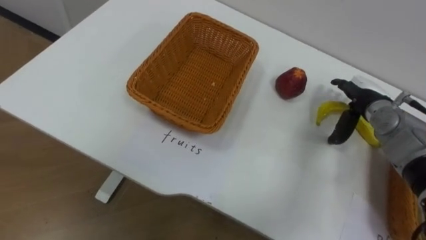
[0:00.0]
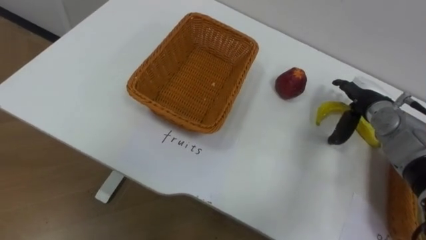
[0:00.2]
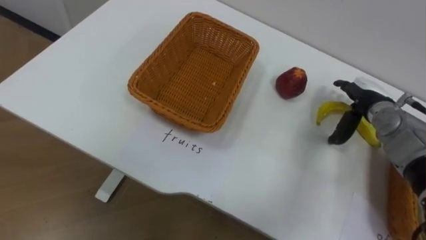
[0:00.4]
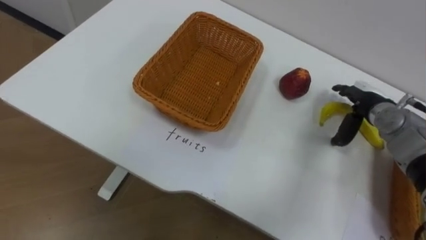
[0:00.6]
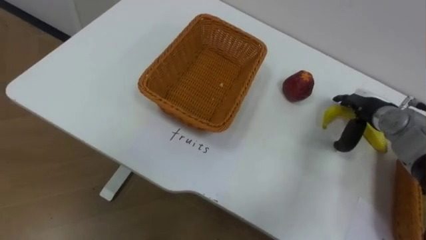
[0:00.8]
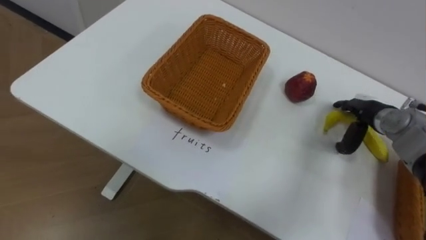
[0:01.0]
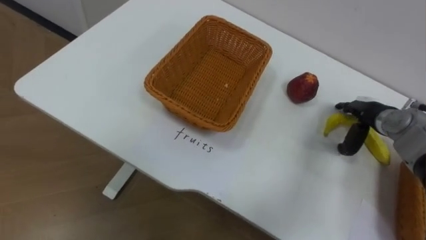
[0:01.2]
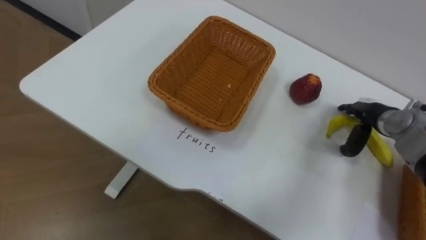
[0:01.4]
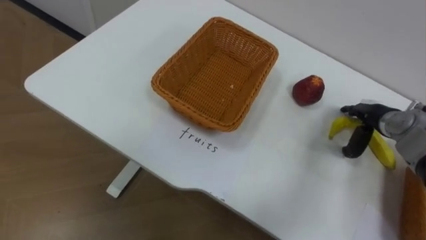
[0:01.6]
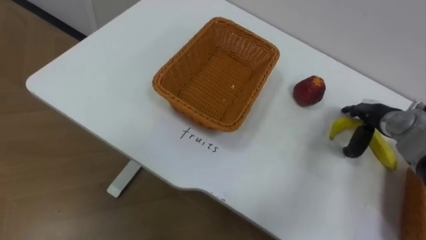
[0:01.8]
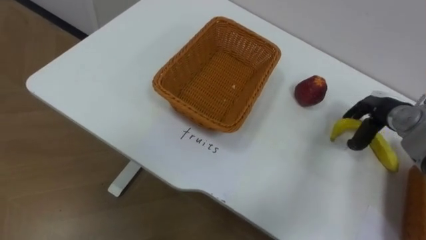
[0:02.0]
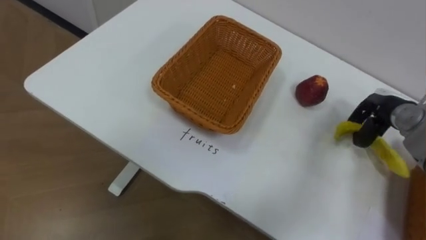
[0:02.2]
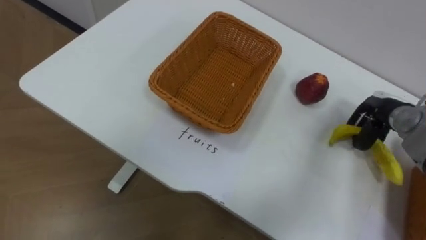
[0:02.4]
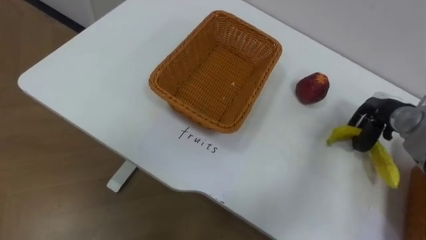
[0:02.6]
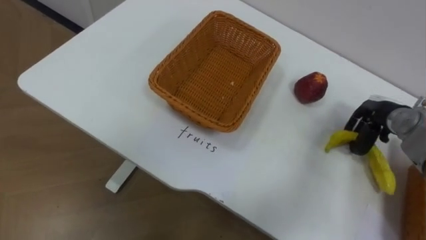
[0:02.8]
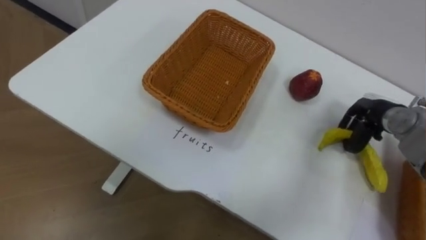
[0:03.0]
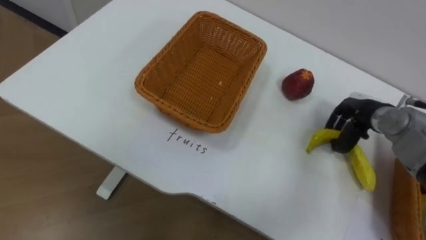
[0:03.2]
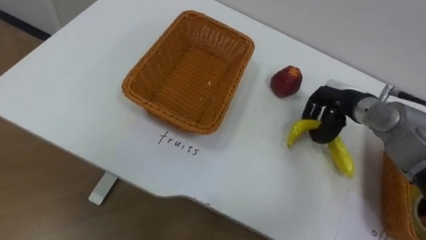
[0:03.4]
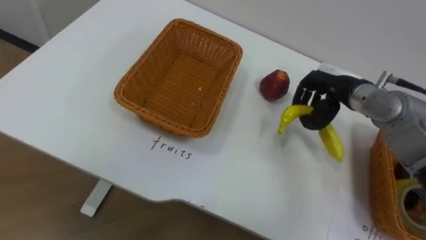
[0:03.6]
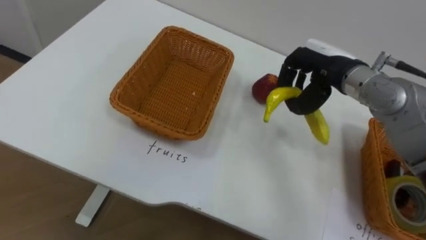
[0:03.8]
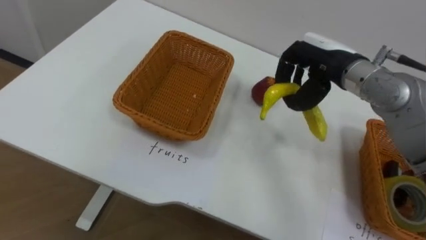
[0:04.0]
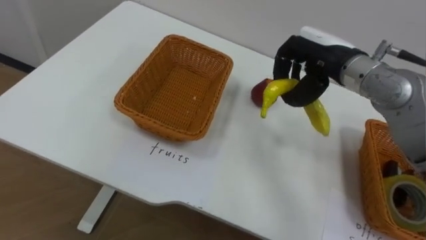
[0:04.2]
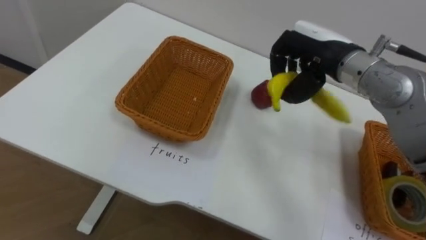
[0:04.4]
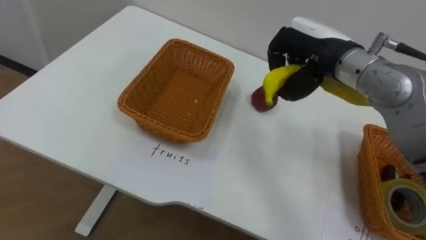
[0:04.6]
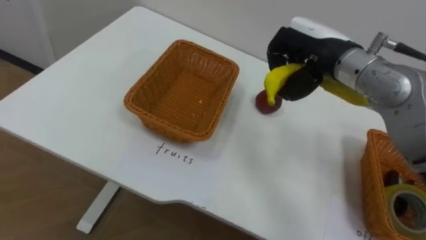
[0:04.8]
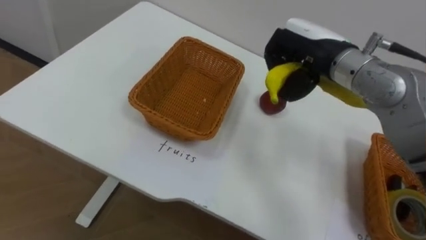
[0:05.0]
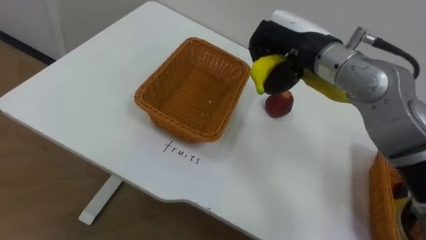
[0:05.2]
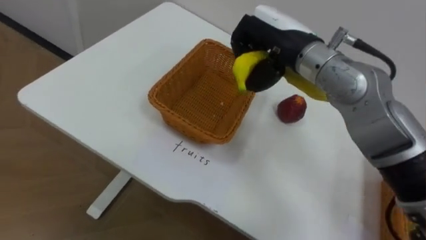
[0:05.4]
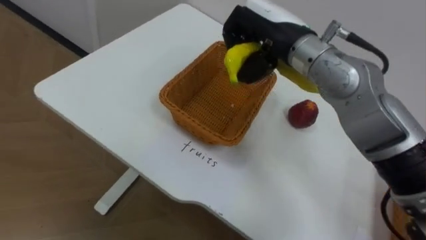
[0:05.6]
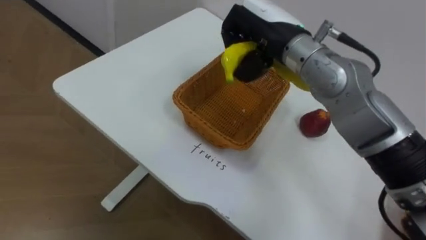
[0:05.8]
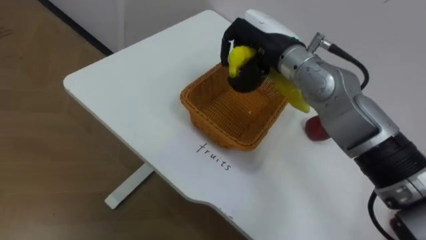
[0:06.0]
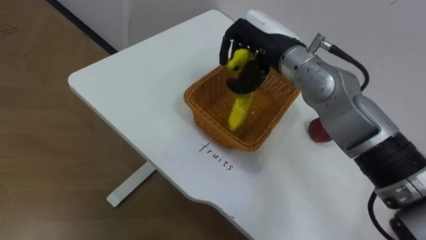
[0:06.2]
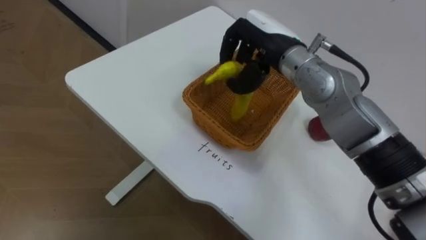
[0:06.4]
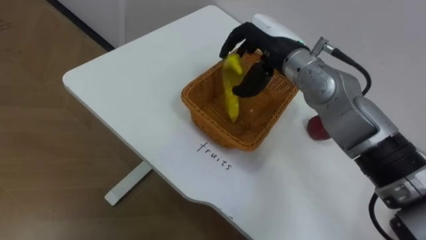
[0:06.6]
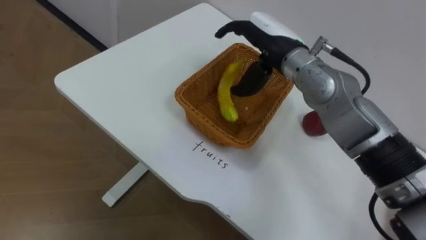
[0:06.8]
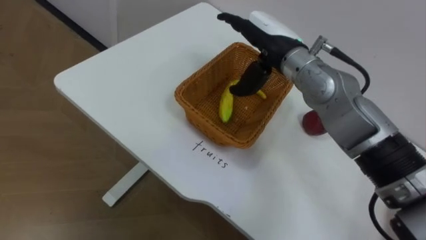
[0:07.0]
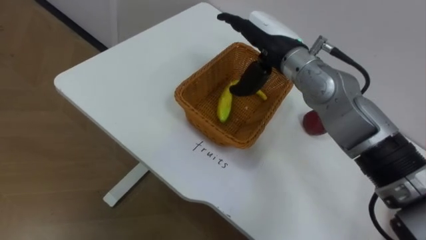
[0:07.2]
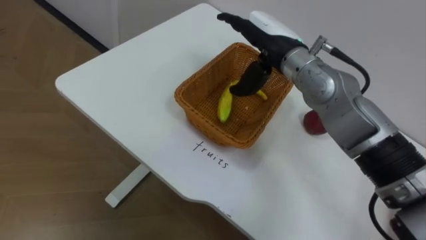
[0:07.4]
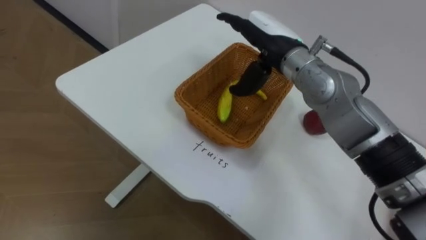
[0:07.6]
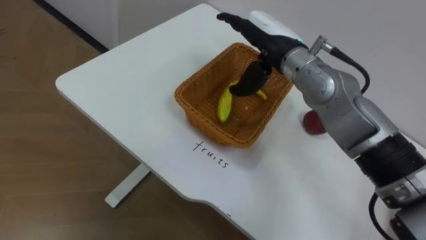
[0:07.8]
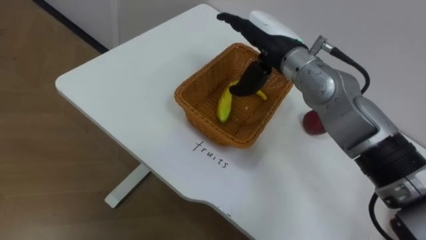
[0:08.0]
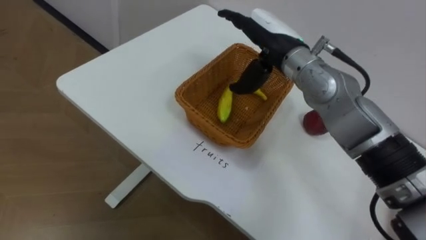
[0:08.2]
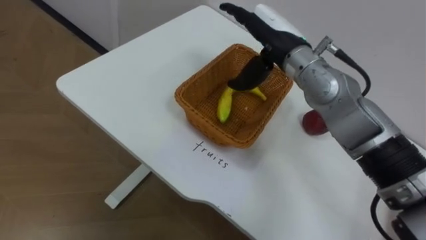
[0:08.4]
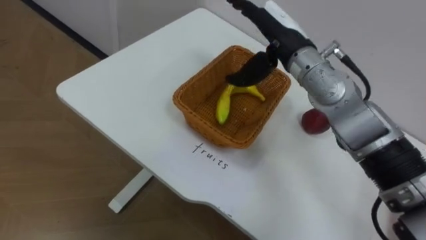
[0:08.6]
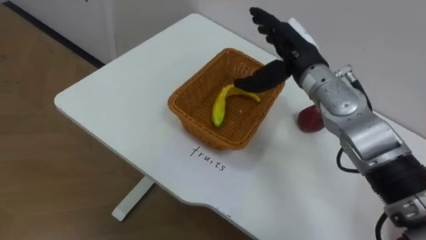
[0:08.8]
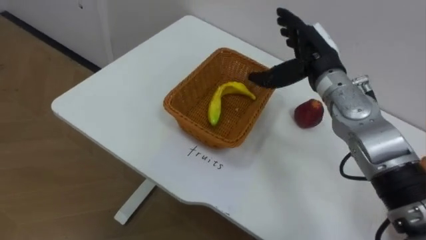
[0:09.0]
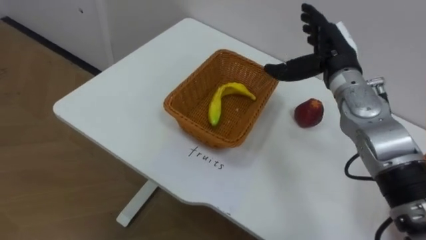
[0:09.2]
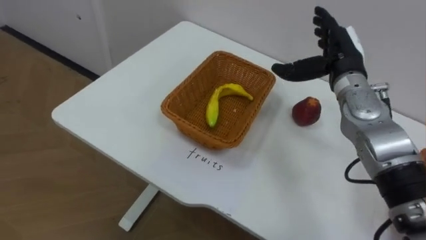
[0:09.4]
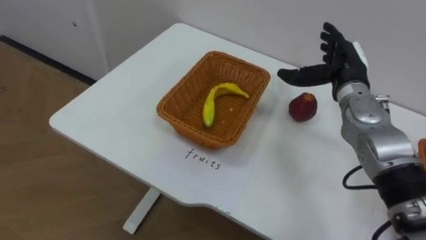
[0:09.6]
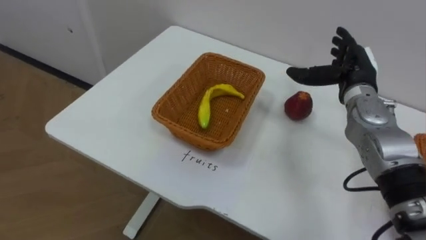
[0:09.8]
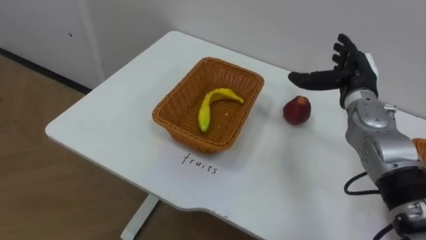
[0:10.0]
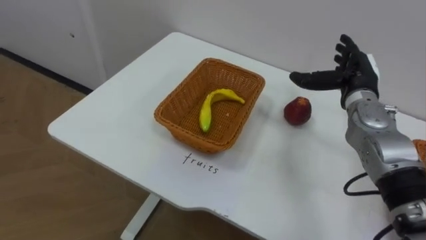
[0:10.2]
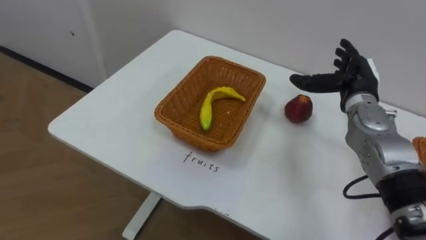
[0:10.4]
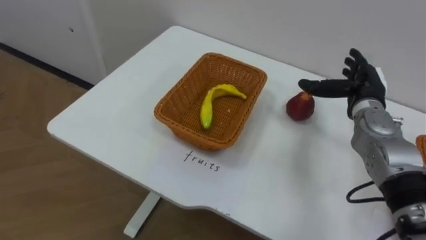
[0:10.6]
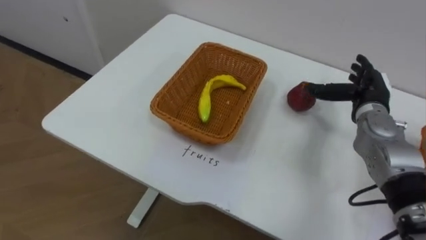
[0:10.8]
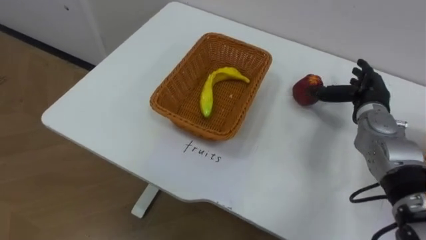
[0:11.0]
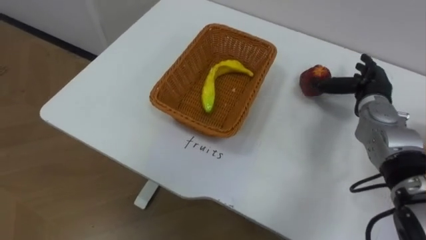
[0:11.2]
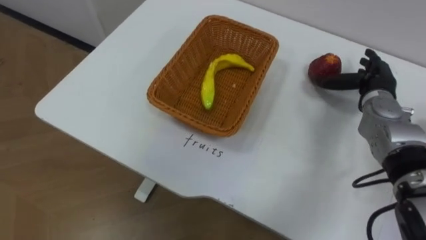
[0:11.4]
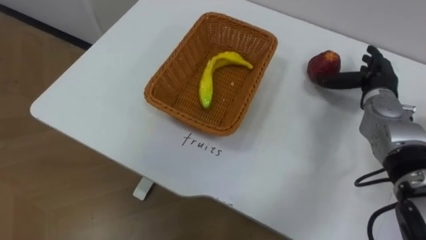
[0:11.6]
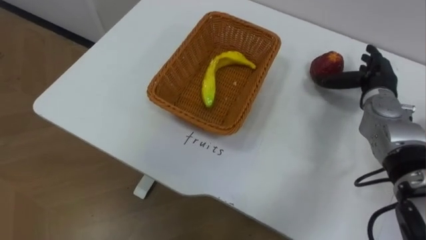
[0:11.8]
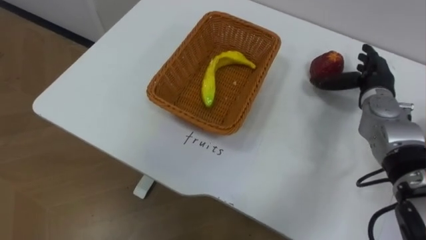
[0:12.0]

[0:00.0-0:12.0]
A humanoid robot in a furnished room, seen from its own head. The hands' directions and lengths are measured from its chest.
Task of the whole recording: Separate the items on the table and place them into the two baskets.
0:01.6 to 0:03.0: The right hand closes up.
0:03.0 to 0:04.4: The right hand travels to the left and upward by approximately 20 cm.
0:04.4 to 0:06.0: The right hand goes about 10 cm to the left.
0:06.0 to 0:07.6: The right hand opens.
0:07.6 to 0:09.0: The right hand is displaced to the right by approximately 10 cm.
0:09.0 to 0:10.4: The right hand moves to the right and downward, roughly 10 cm.

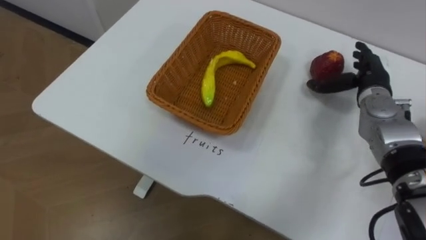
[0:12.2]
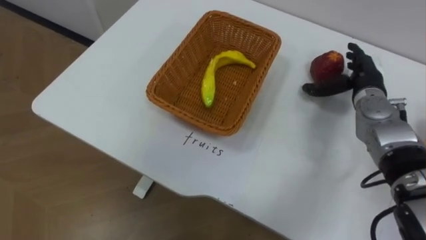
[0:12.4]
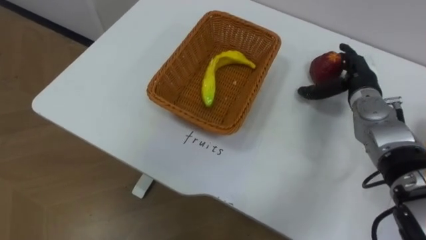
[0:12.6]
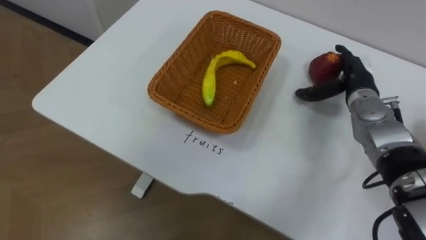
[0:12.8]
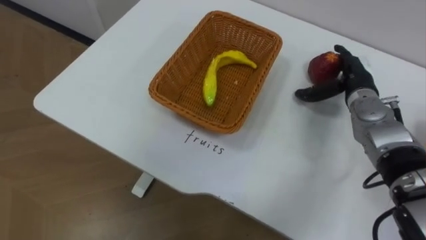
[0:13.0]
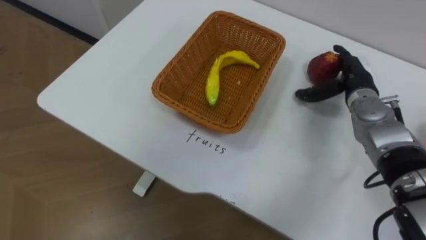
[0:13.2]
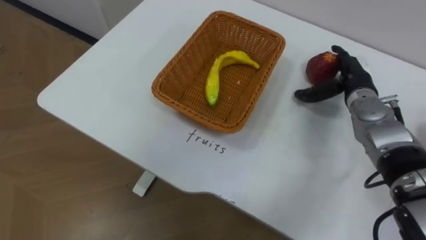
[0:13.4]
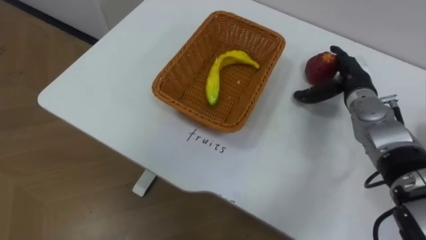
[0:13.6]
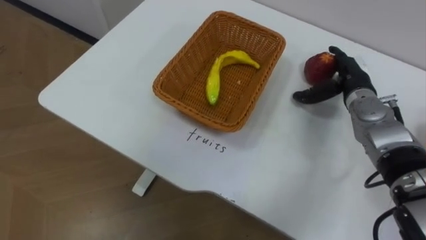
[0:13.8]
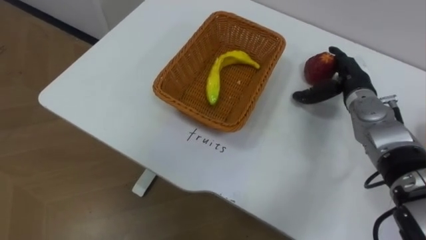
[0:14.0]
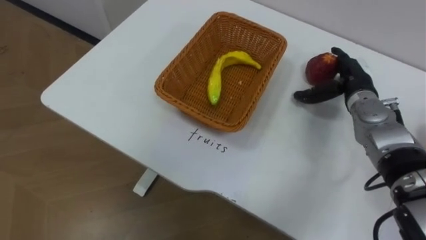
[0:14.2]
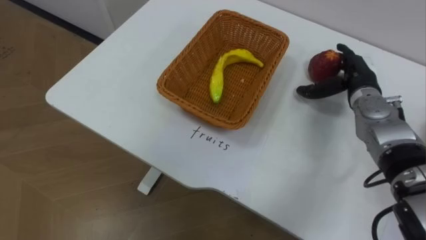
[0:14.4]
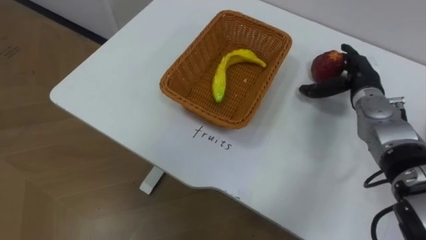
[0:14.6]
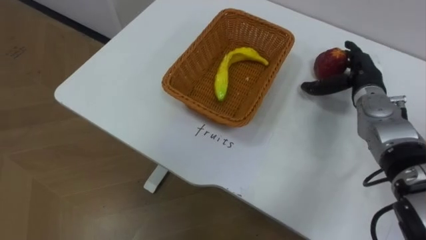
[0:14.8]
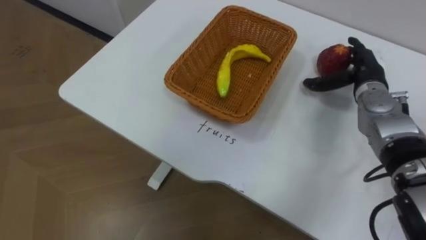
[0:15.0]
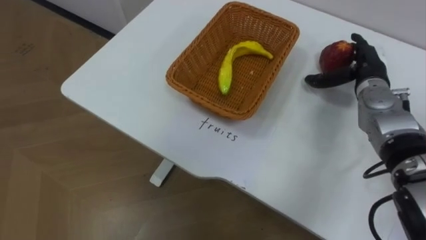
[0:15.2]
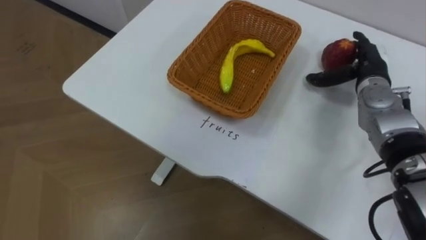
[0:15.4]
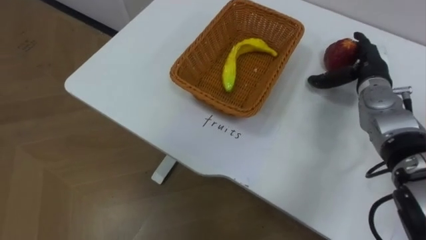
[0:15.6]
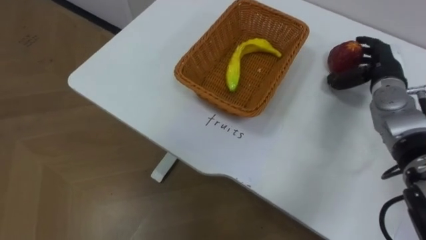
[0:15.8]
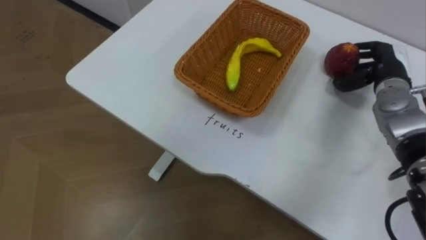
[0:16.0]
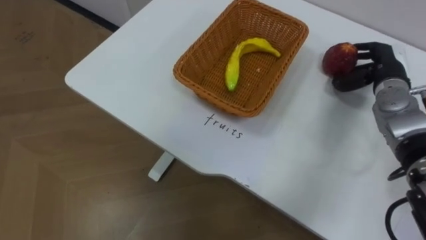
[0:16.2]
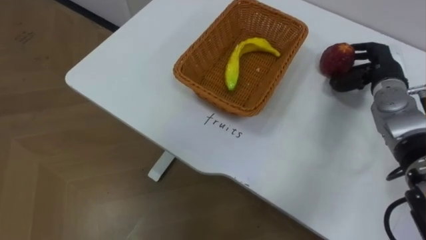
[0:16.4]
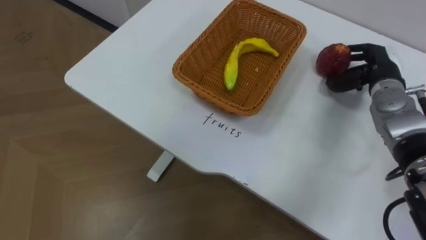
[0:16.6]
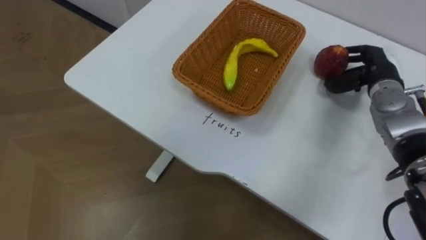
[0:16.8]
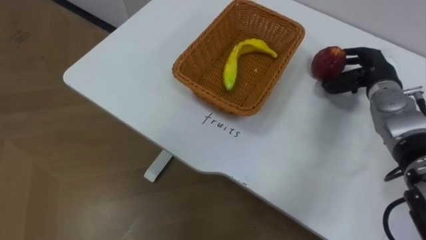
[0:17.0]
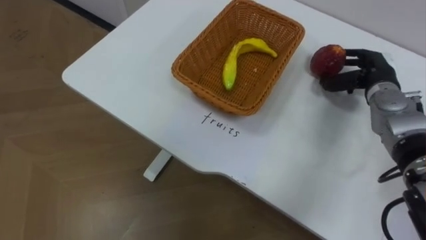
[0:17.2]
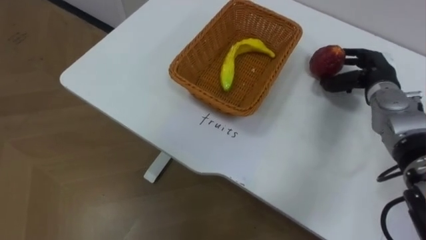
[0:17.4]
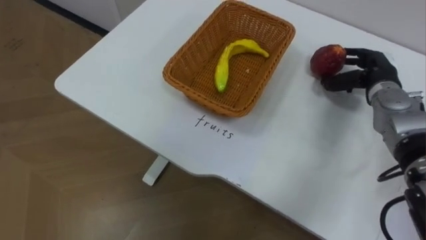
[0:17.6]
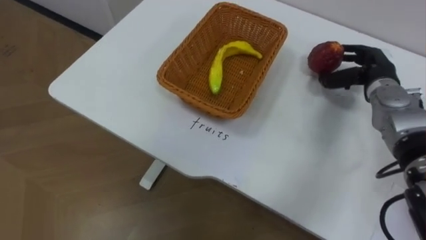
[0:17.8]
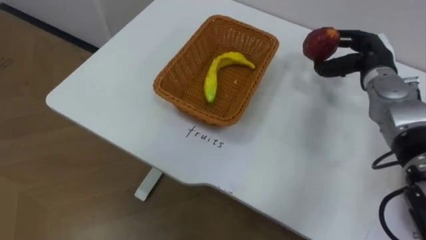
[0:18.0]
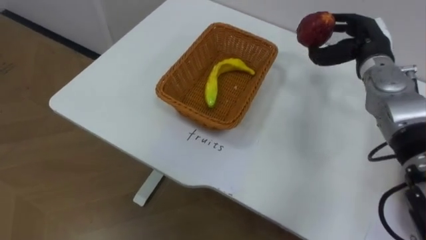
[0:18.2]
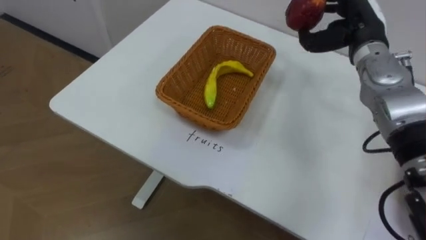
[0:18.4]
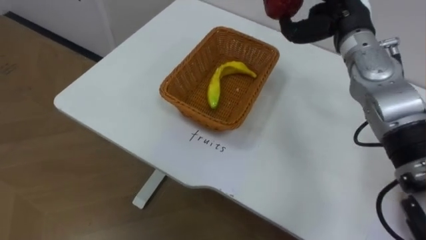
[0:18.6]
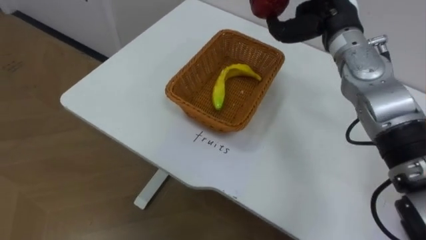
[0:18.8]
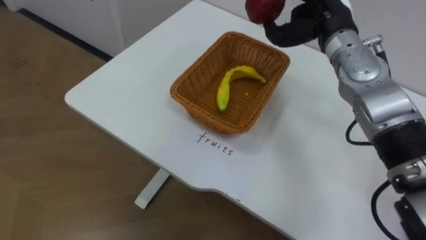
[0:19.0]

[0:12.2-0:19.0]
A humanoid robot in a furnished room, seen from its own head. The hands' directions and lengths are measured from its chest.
Task of the whole recording: Separate the items on the table and place them into the two baskets.
0:15.0 to 0:16.2: The right hand closes up.
0:17.6 to 0:19.0: The right hand moves to the left and upward, roughly 15 cm.
